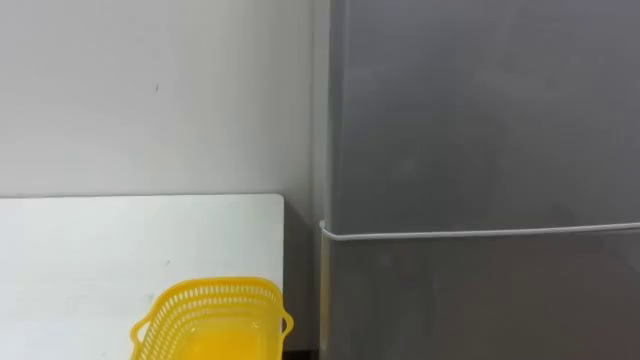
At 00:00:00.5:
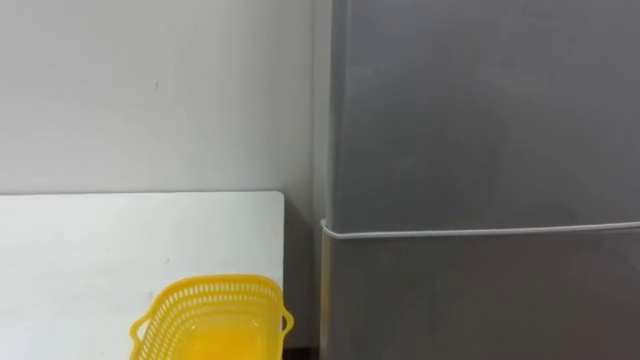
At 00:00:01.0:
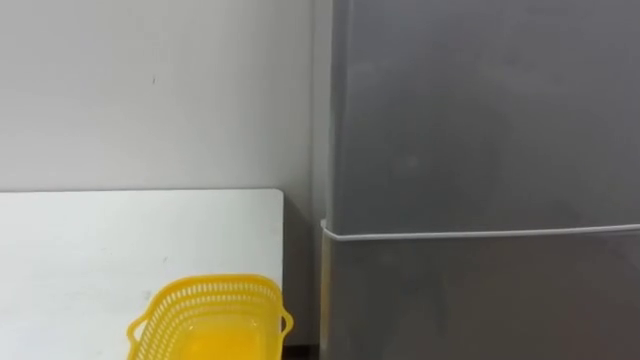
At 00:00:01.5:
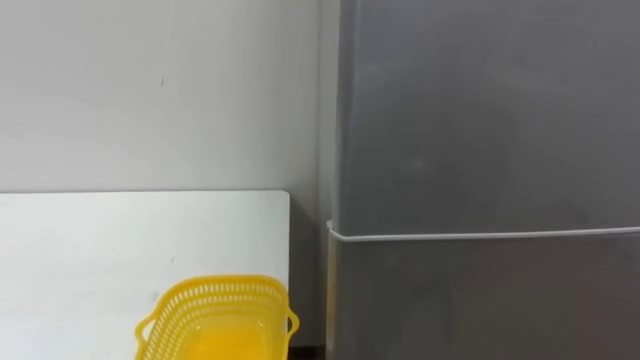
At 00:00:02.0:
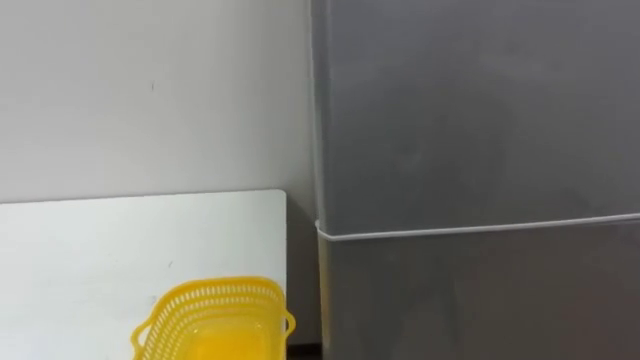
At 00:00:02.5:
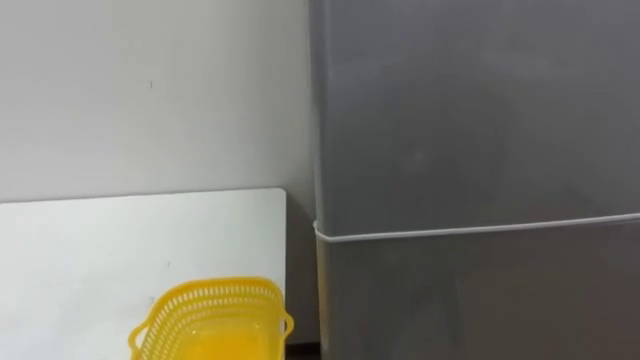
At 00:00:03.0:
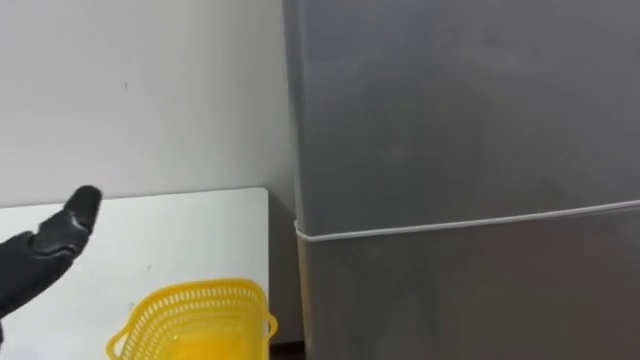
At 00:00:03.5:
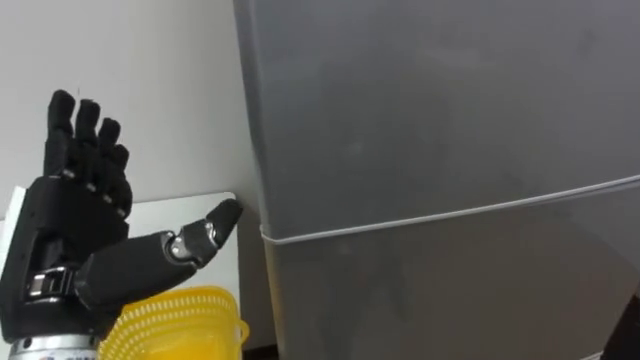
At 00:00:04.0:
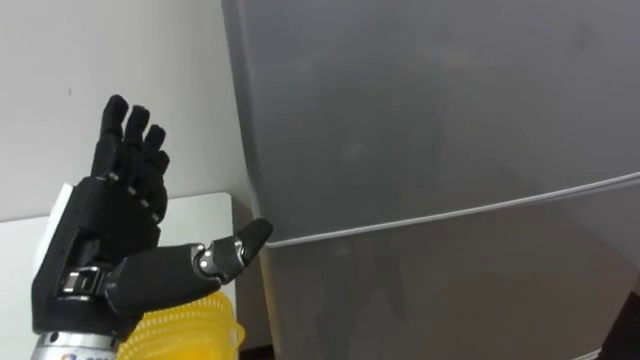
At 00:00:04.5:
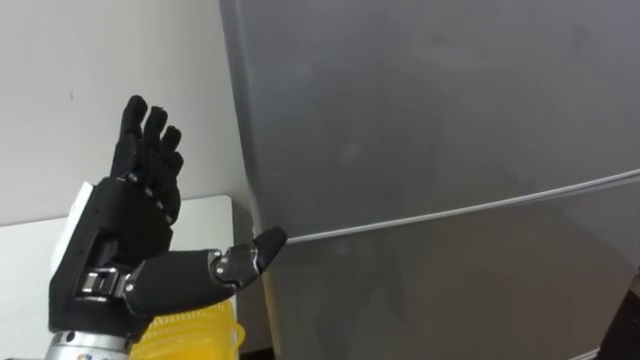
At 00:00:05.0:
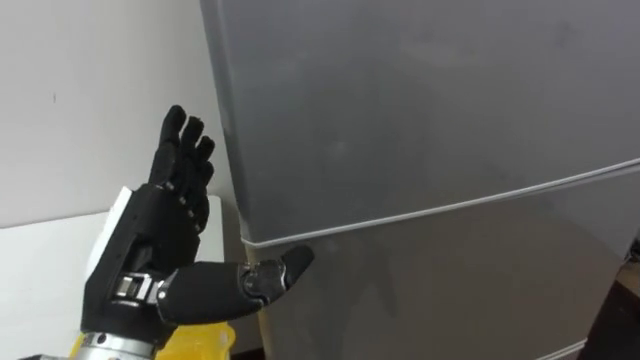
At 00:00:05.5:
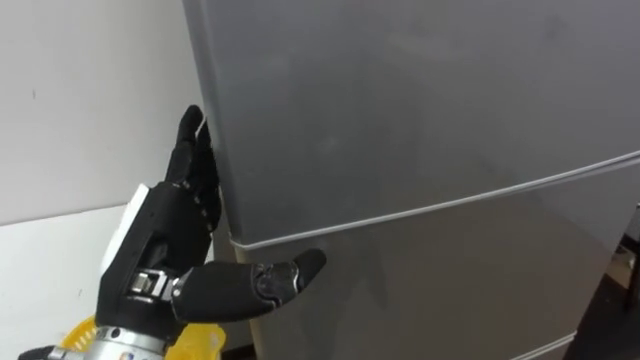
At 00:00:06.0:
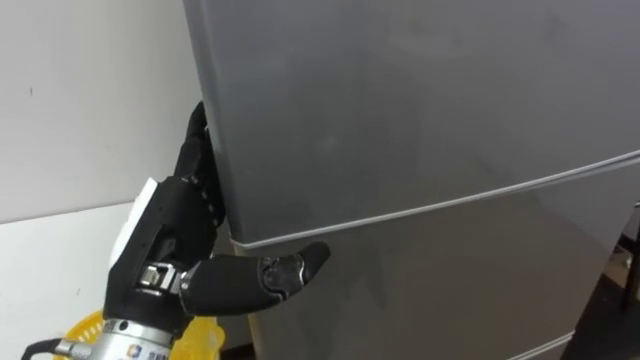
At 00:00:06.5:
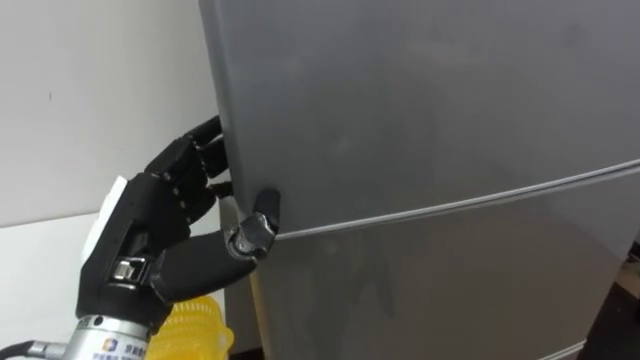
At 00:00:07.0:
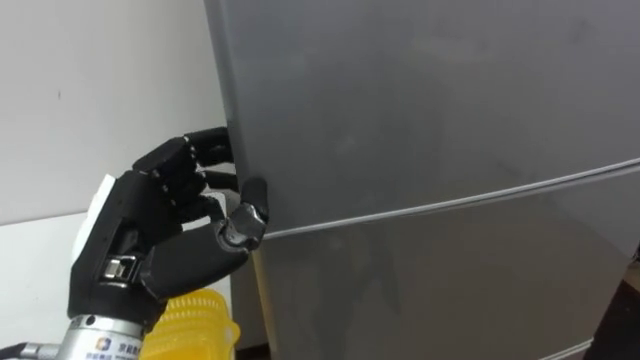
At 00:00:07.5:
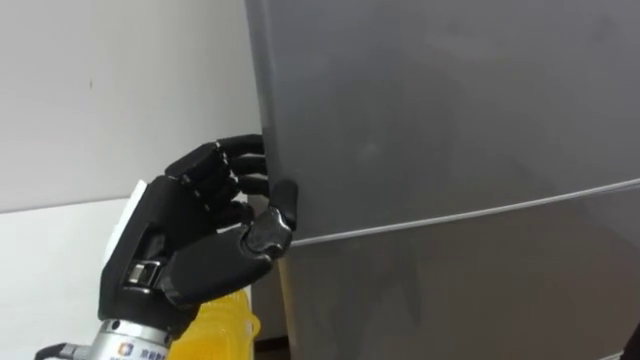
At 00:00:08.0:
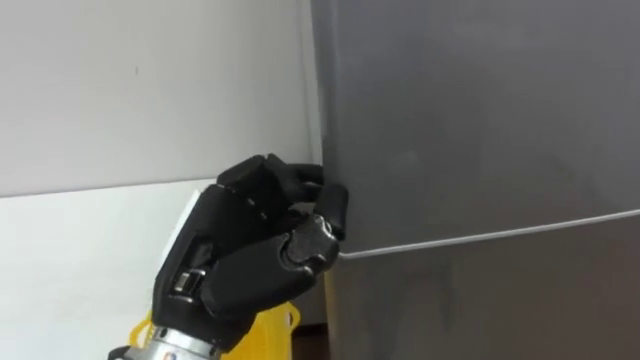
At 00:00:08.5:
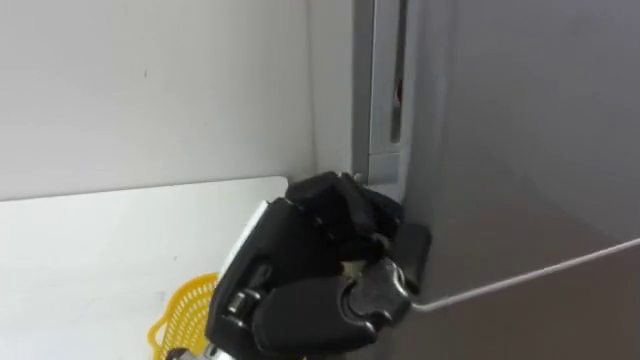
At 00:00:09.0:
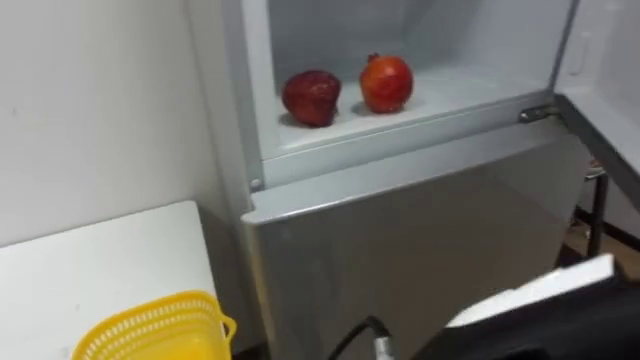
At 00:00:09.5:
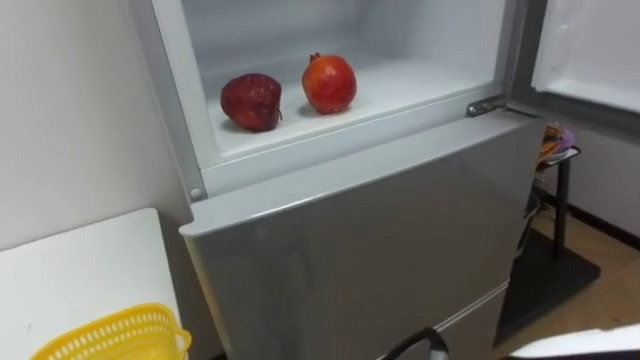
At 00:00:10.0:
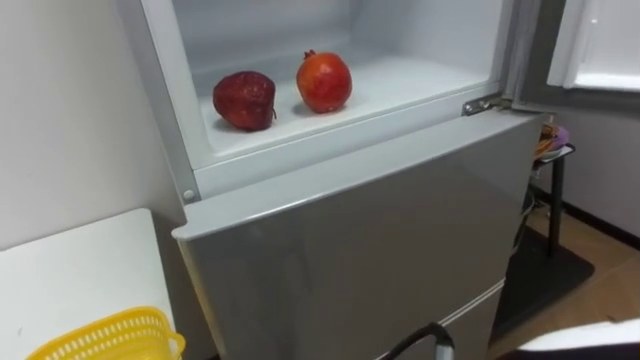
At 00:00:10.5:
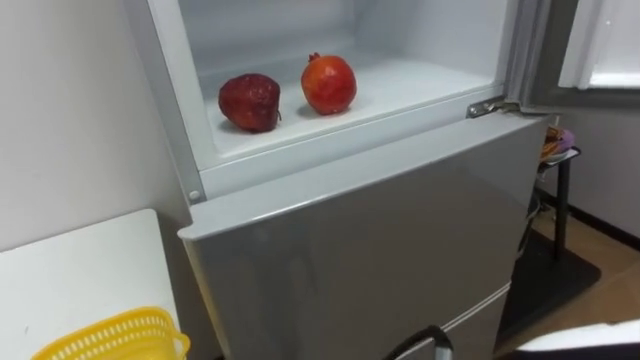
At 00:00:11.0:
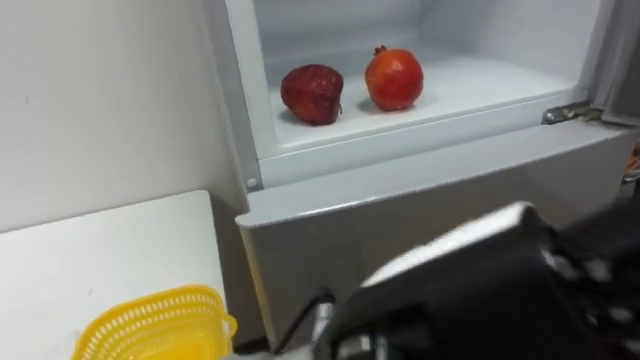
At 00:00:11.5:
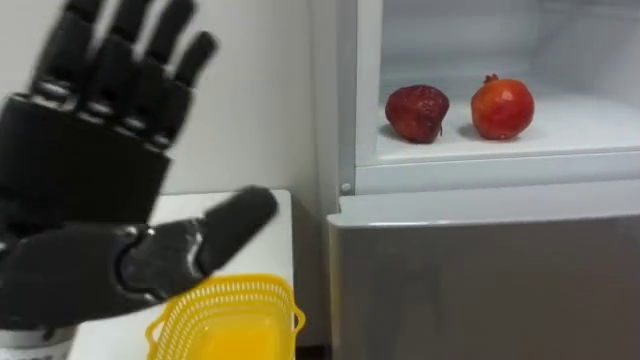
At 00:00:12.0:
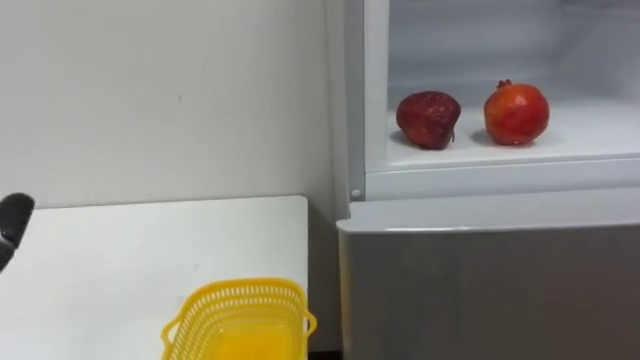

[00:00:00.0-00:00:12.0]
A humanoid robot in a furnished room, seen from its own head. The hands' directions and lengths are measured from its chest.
Task of the whole recording: Open the refrigerator door, take out the apple and the pomegranate, place them in the fruit basket on the left, and close the refrigerator door.
00:00:06.0 to 00:00:08.0: The left hand closes its fingers.

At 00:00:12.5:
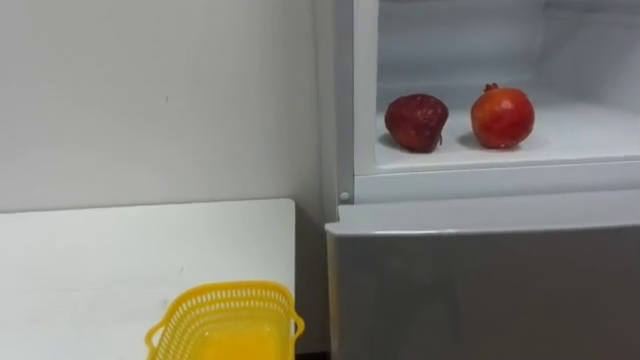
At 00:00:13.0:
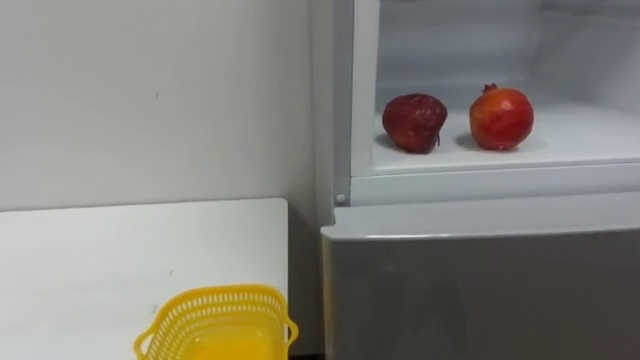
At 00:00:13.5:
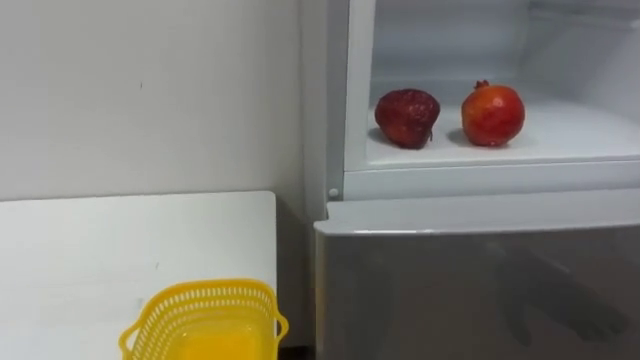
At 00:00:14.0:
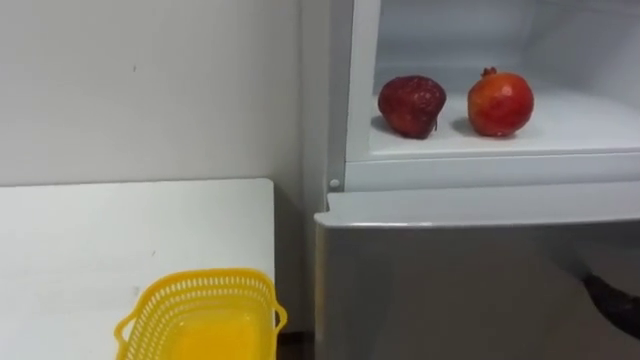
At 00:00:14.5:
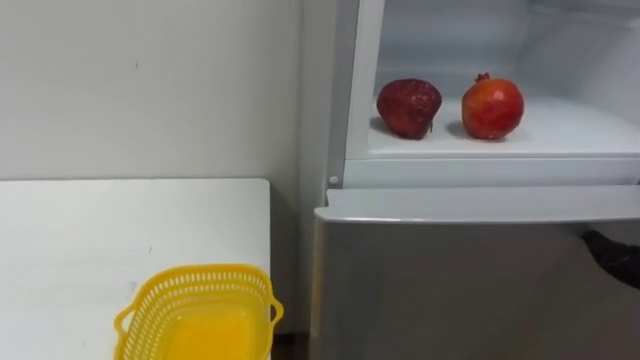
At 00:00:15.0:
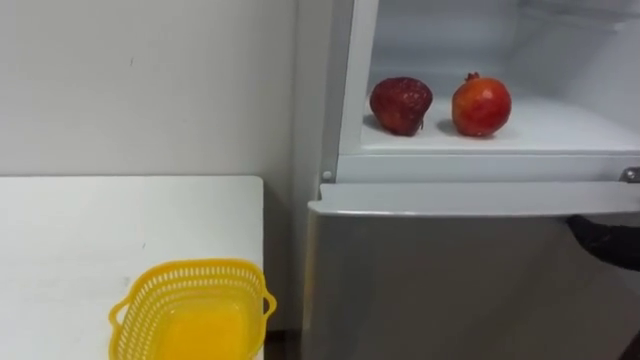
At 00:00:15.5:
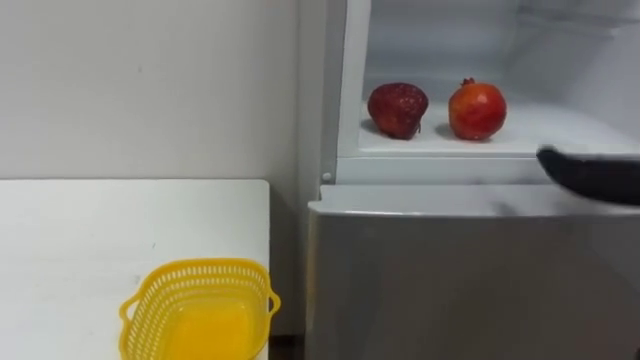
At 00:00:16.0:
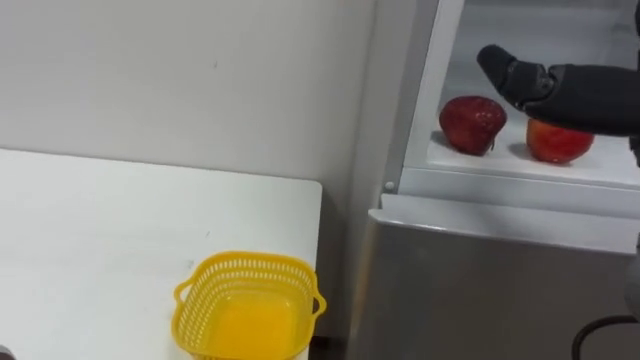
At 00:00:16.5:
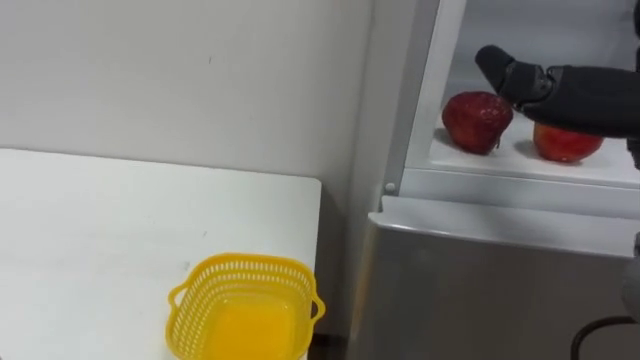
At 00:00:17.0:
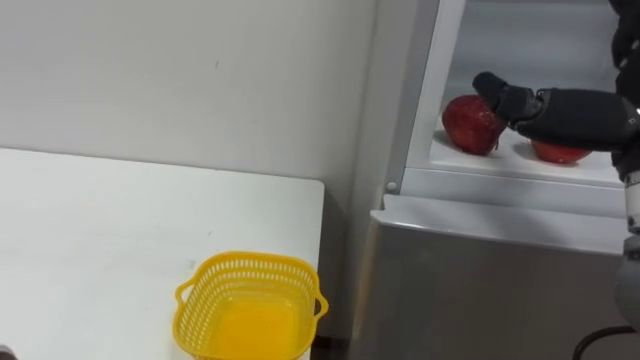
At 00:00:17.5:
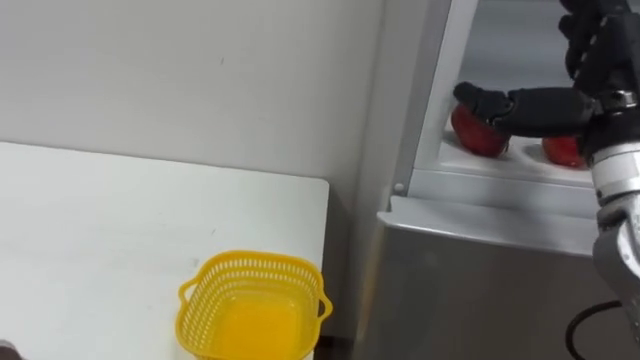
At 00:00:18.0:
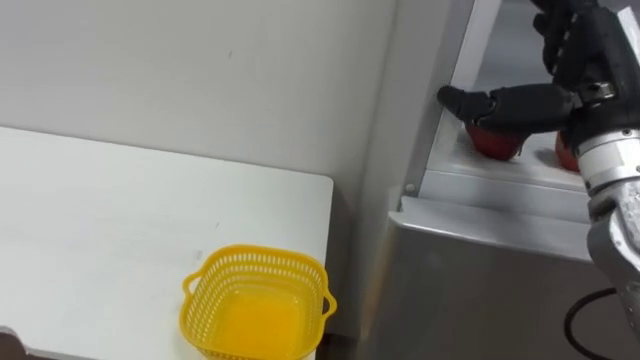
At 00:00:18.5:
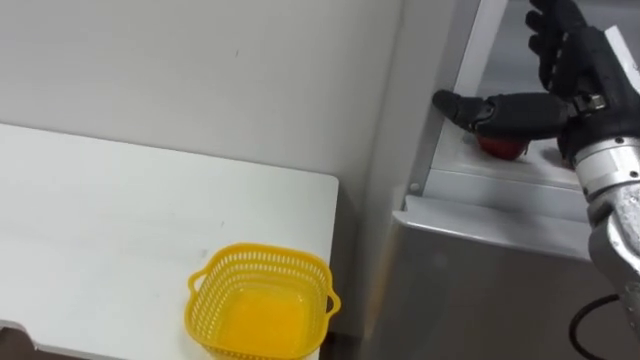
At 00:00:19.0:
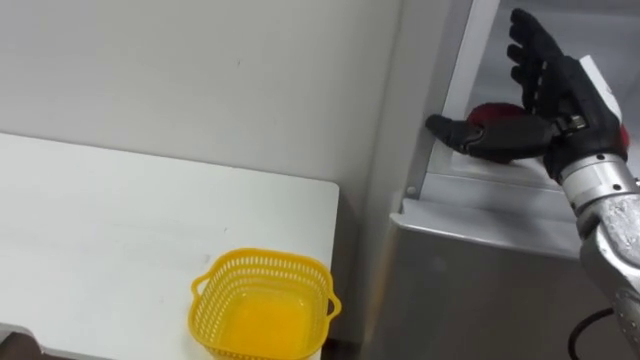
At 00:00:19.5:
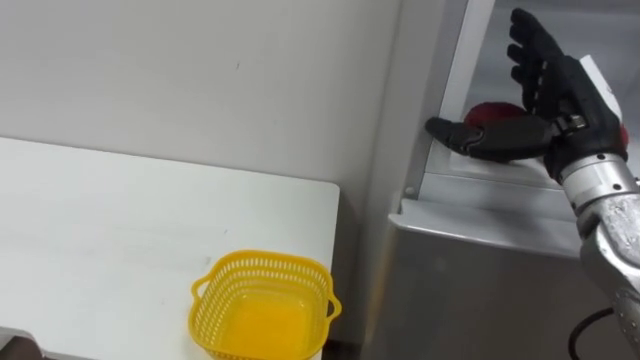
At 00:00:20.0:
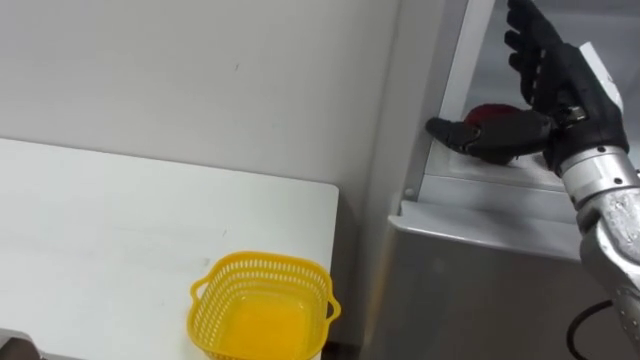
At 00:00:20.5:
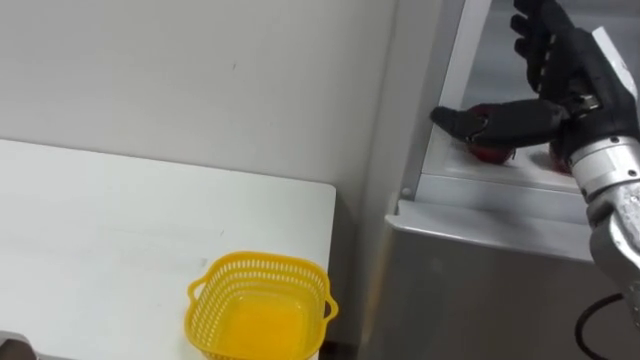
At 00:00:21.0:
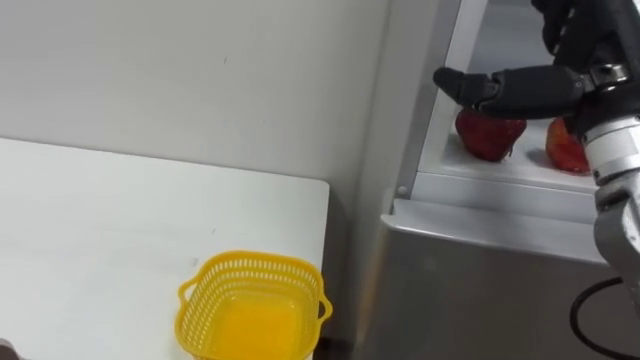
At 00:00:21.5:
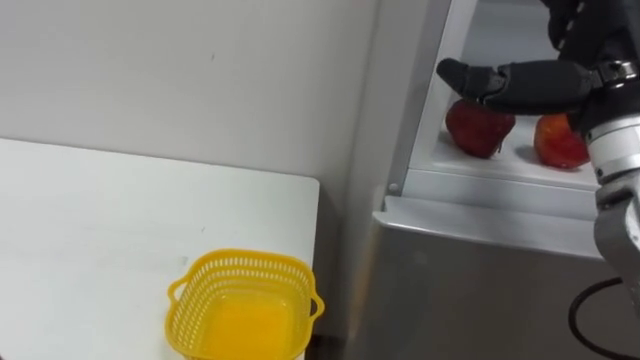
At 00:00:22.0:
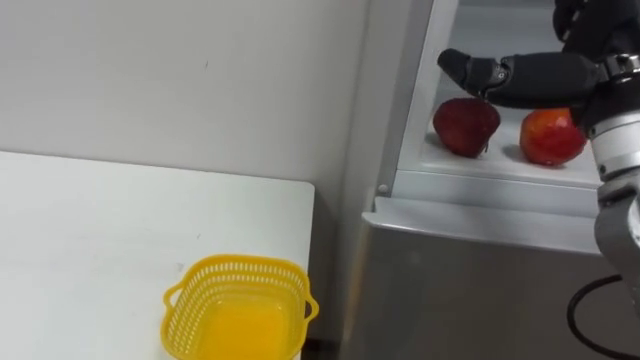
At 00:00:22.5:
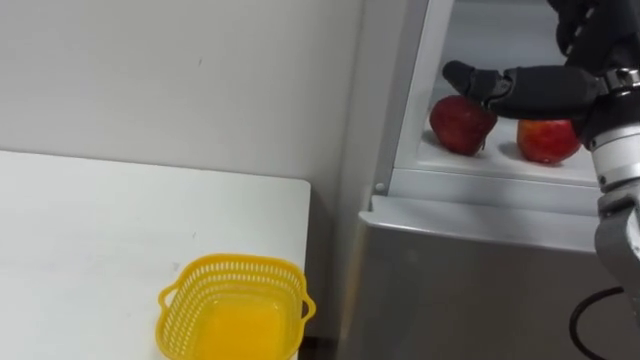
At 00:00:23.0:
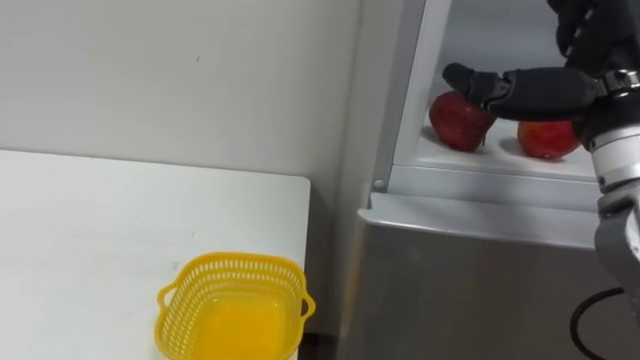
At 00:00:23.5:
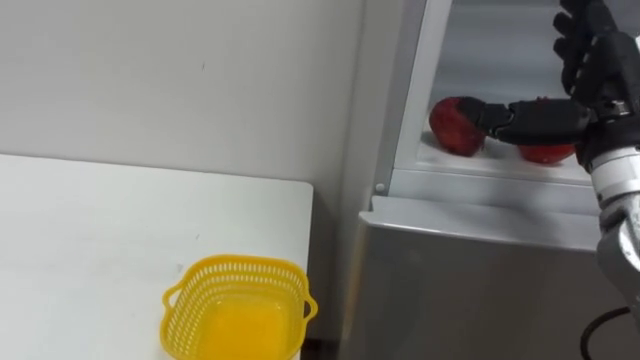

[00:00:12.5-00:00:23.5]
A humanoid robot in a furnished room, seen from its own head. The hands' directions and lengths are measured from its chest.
Task of the whole recording: Open the refrigerator door, take out the apple and the pomegranate, place them in the fruit basket on the left, and close the refrigerator door.
00:00:20.0 to 00:00:21.5: The right hand moves about 5 cm.
00:00:21.5 to 00:00:23.5: The right hand ends up approximately 5 cm from where it was.
